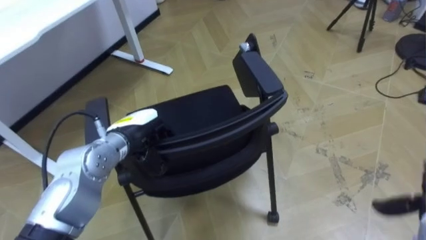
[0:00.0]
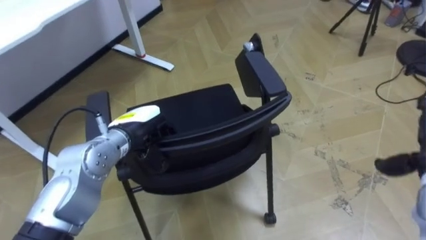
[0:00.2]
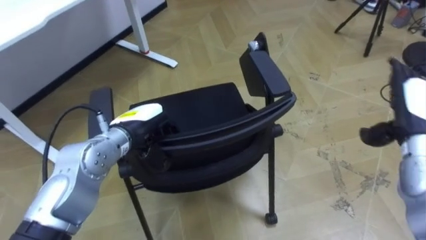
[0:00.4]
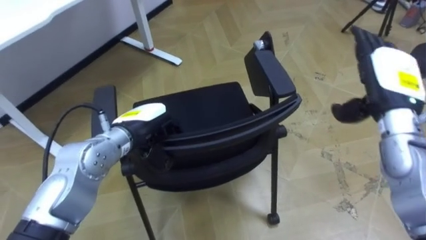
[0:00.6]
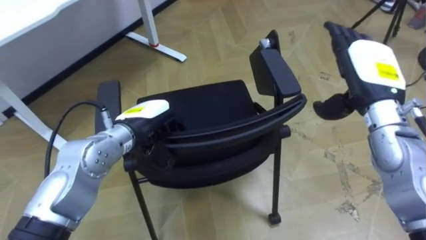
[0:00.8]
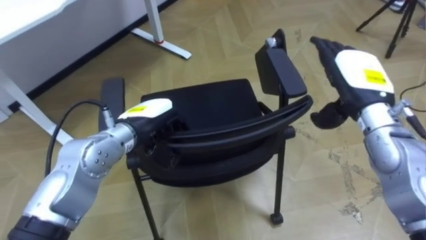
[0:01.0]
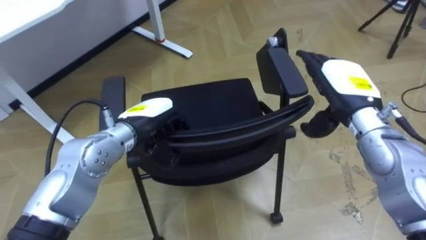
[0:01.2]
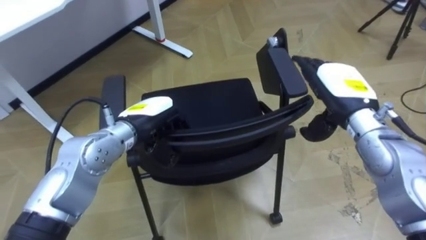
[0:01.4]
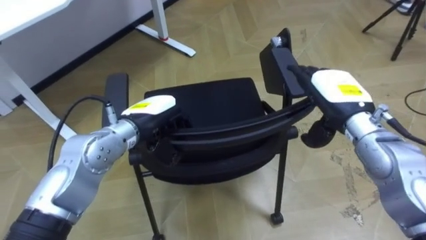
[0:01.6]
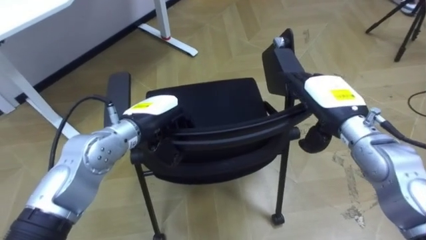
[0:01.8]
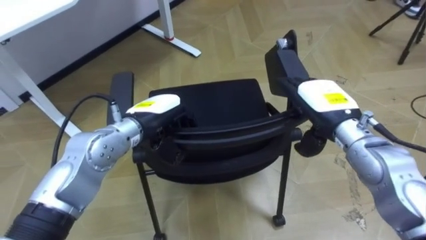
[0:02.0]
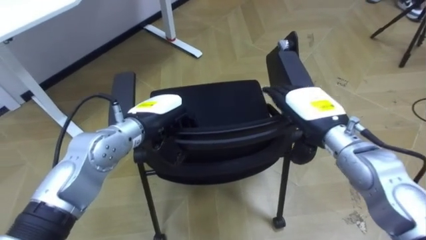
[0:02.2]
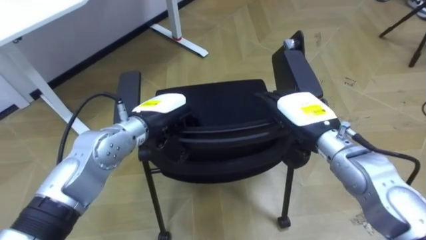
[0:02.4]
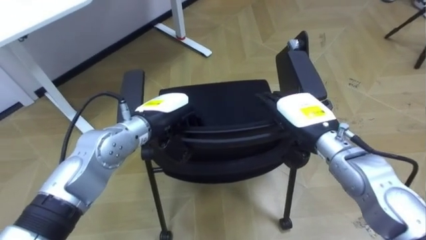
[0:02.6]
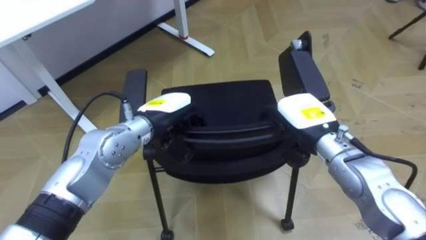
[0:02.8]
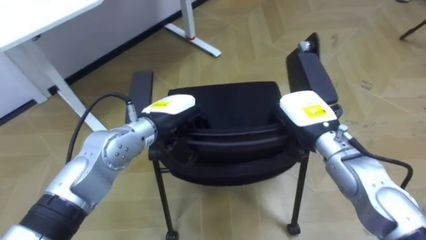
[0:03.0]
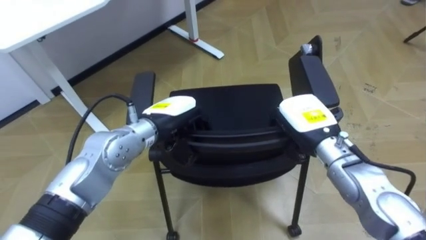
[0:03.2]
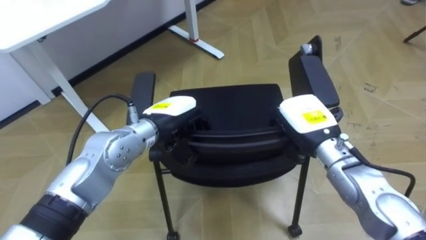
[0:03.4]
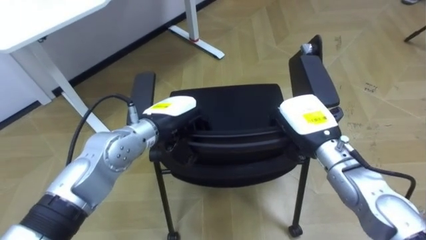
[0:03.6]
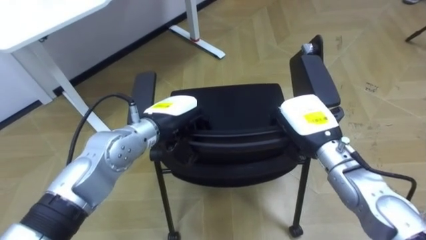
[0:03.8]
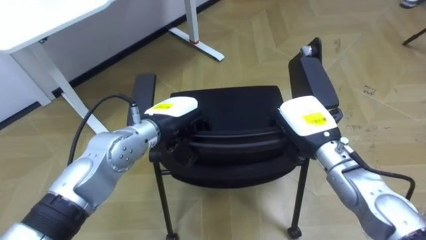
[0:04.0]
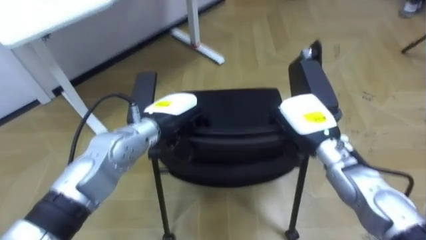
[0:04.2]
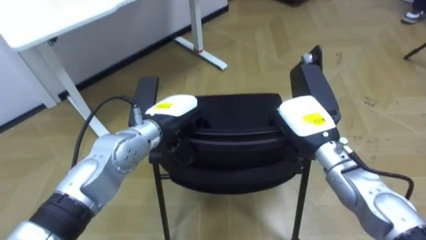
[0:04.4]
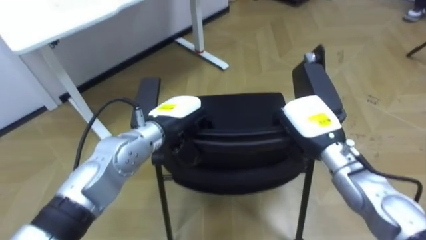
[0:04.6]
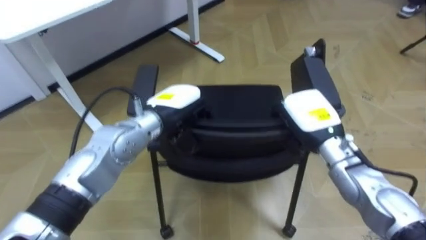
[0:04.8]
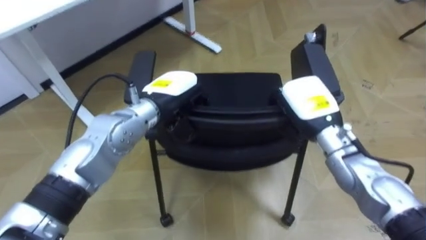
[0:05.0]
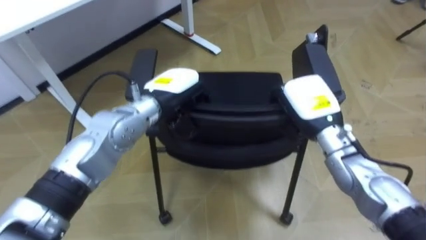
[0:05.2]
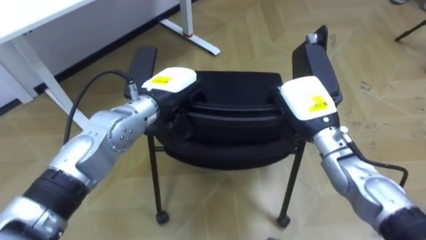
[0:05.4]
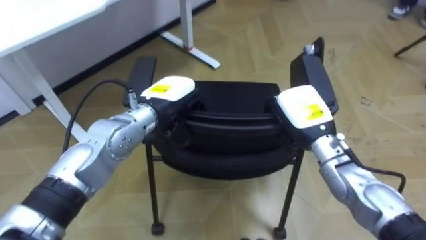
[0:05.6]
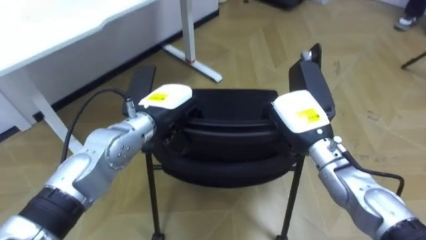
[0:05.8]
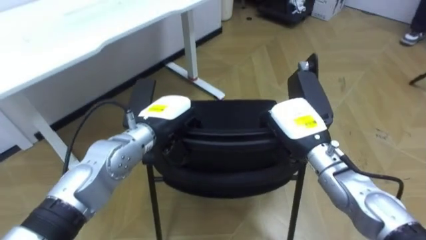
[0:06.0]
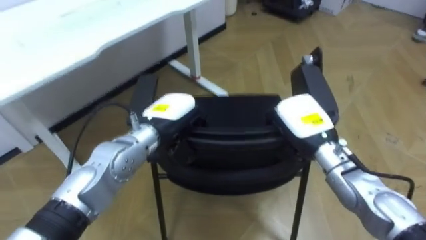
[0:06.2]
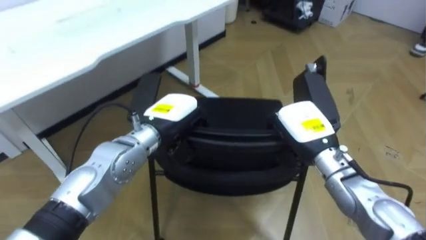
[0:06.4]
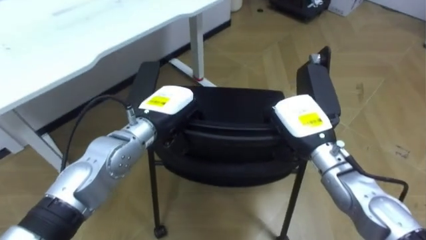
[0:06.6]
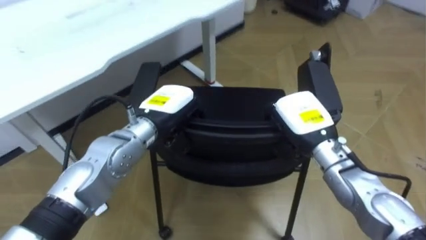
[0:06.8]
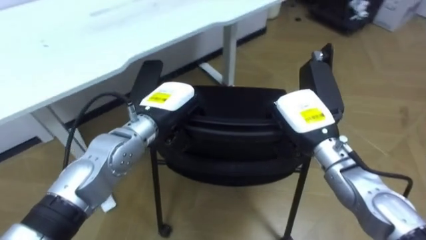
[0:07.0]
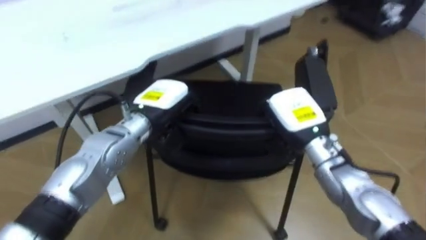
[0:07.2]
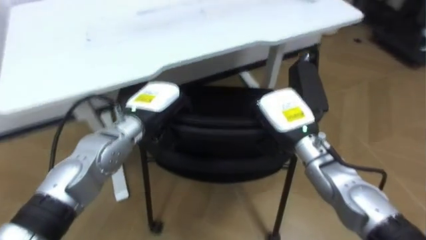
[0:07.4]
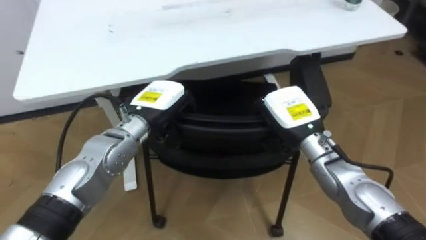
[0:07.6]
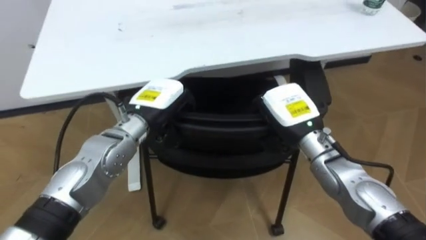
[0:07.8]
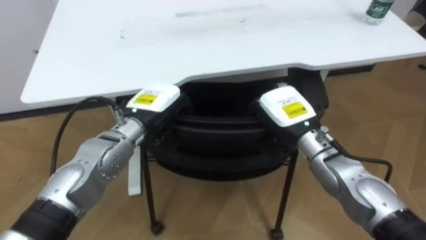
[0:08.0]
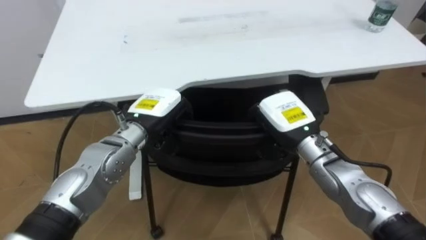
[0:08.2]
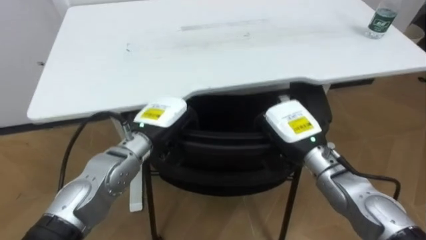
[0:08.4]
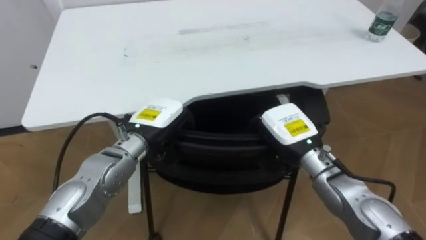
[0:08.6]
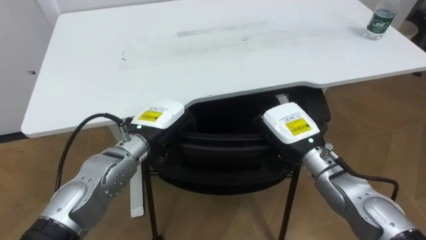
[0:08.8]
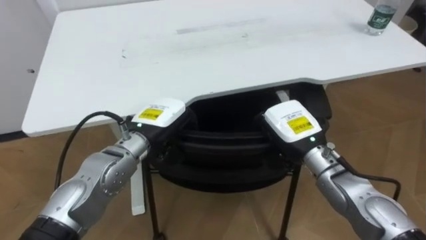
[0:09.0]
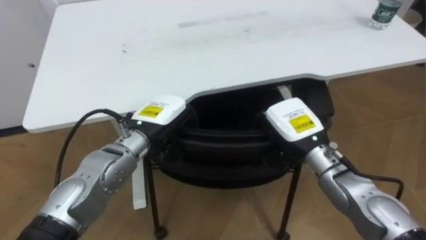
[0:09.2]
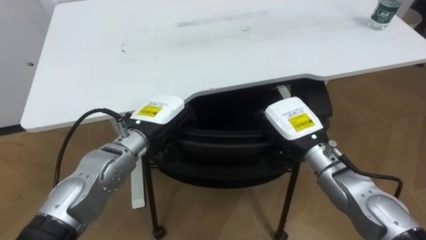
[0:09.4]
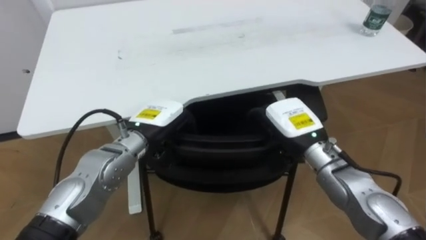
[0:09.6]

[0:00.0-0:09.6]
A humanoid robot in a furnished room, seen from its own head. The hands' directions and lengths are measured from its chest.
Task of the whole recording: Push the chair under the table.
0:01.6 to 0:03.2: The right hand changes place by roughly 5 cm, and closes its fingers.
0:06.4 to 0:08.0: The robot turns to its left by roughly 30 degrees.
0:08.0 to 0:09.6: The right hand opens its fingers.

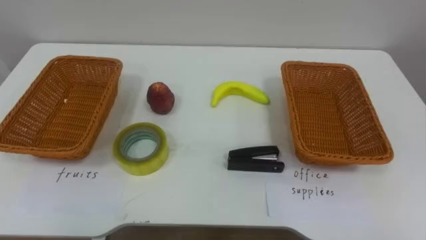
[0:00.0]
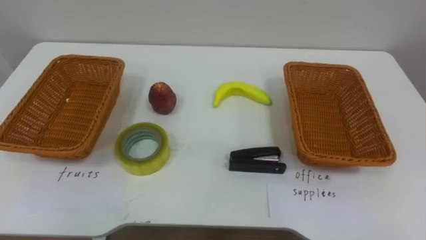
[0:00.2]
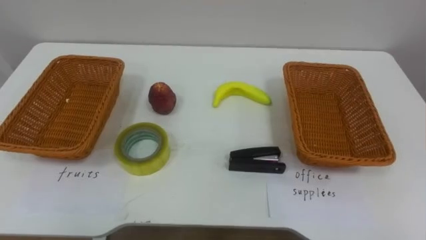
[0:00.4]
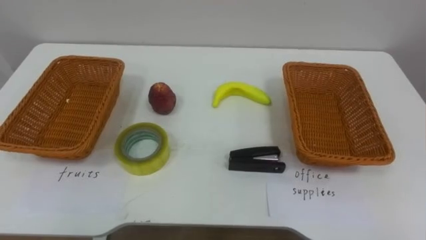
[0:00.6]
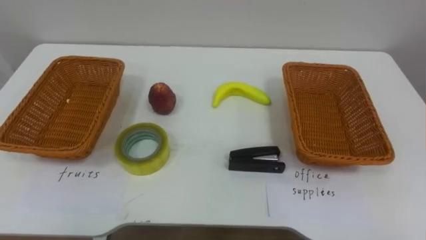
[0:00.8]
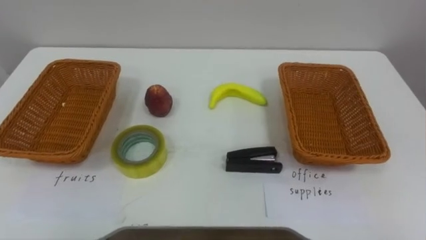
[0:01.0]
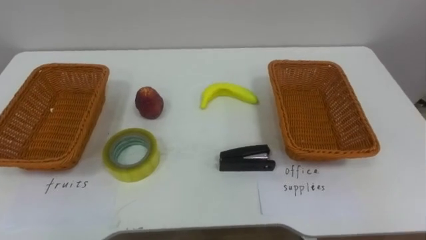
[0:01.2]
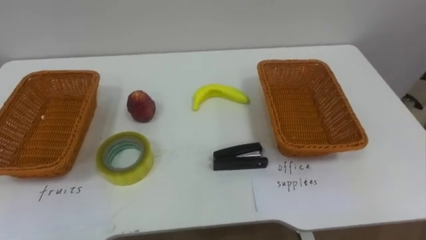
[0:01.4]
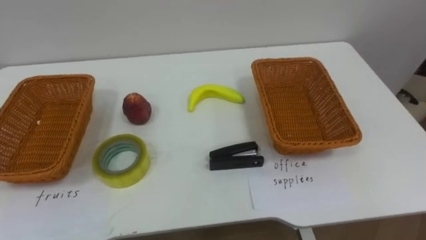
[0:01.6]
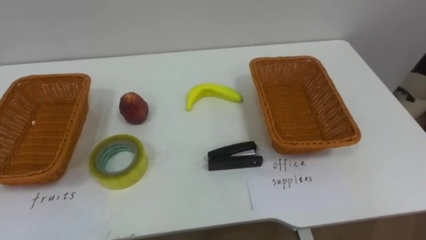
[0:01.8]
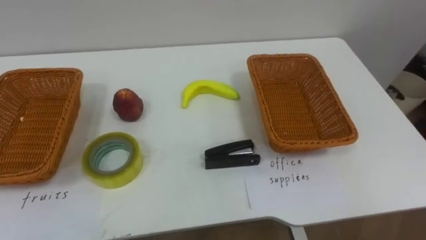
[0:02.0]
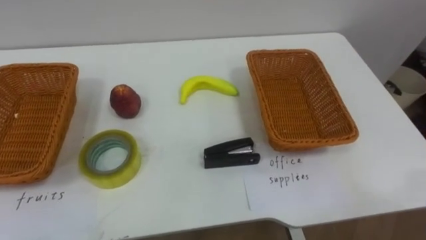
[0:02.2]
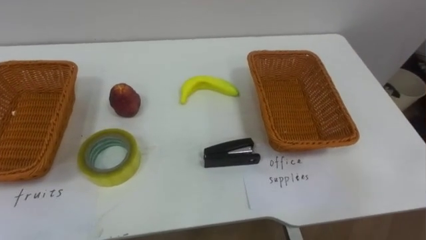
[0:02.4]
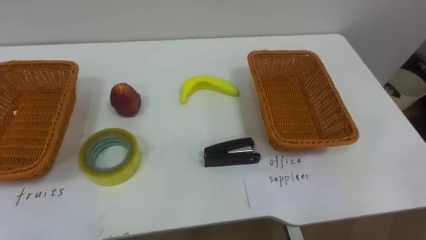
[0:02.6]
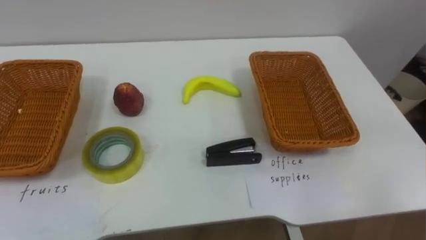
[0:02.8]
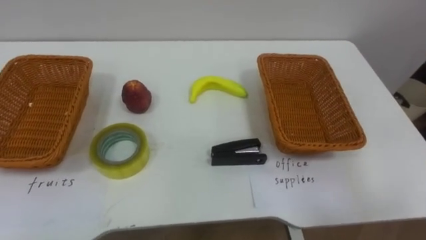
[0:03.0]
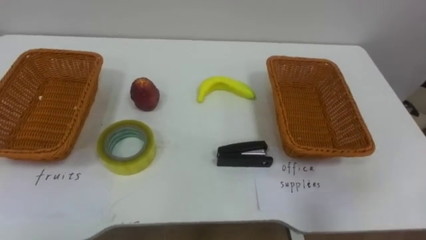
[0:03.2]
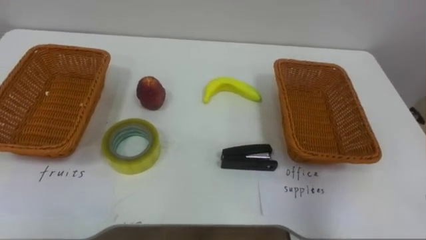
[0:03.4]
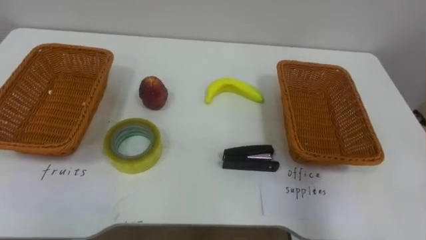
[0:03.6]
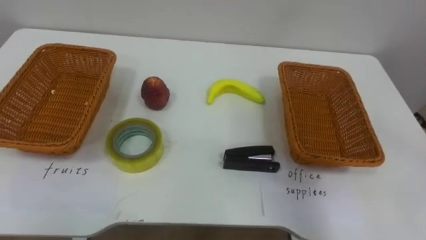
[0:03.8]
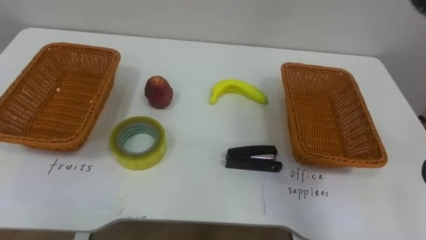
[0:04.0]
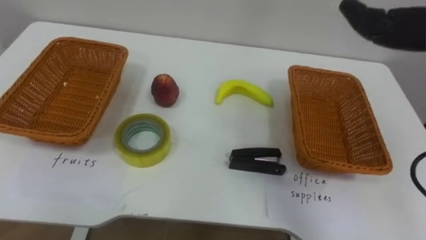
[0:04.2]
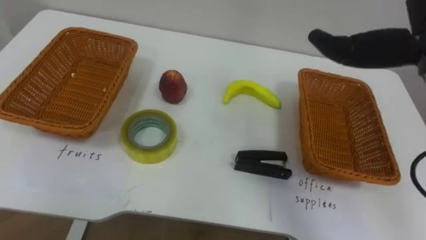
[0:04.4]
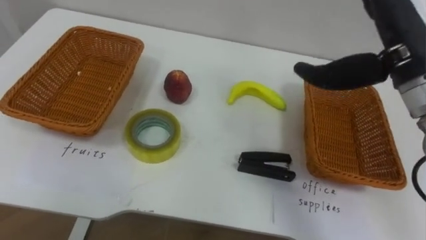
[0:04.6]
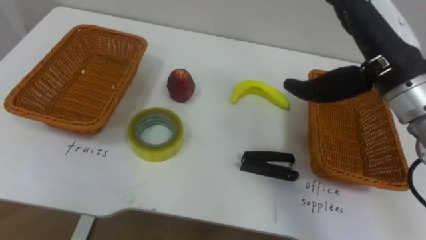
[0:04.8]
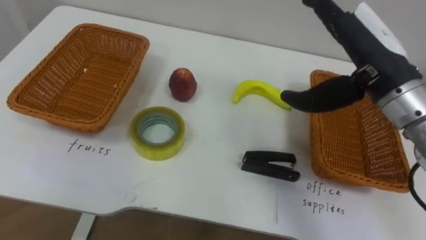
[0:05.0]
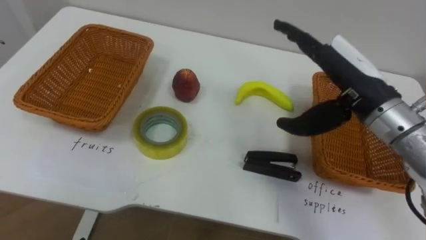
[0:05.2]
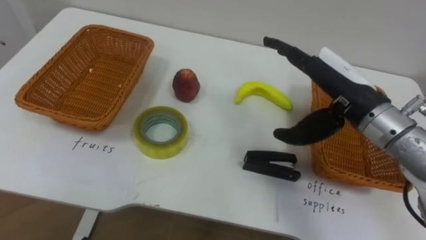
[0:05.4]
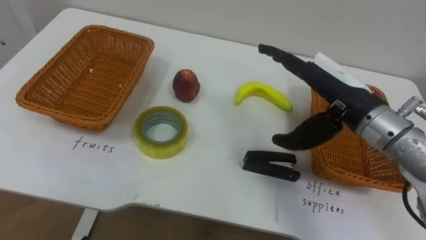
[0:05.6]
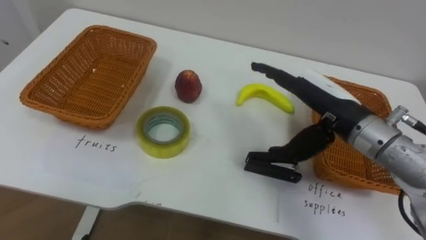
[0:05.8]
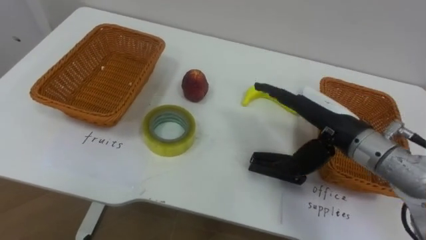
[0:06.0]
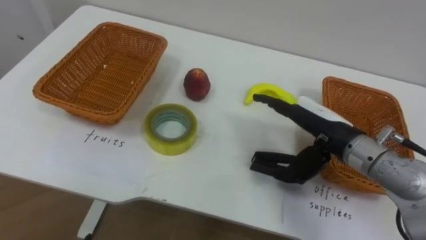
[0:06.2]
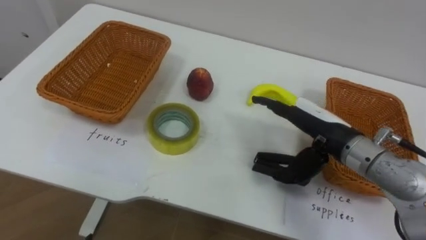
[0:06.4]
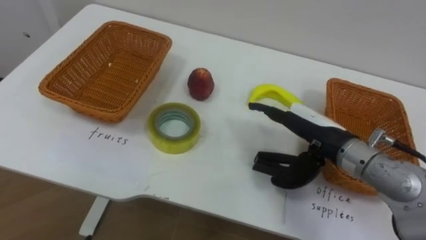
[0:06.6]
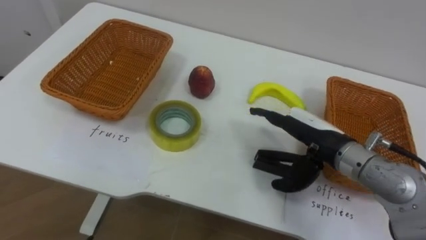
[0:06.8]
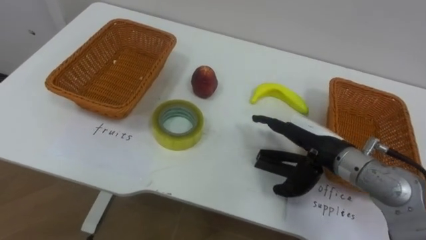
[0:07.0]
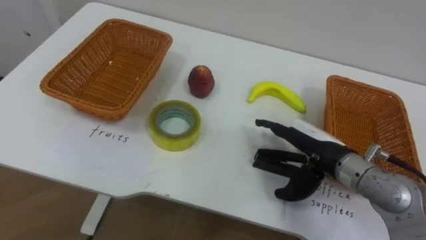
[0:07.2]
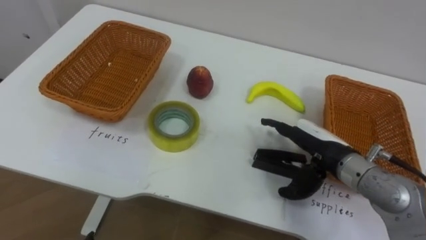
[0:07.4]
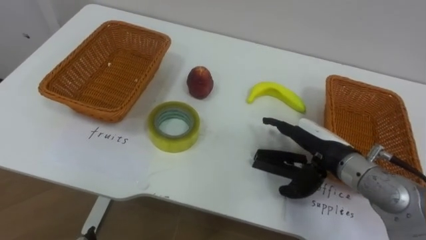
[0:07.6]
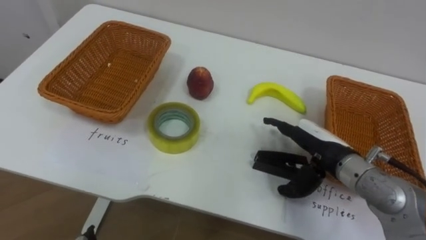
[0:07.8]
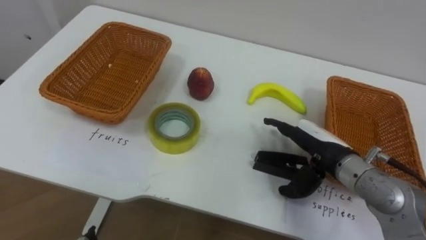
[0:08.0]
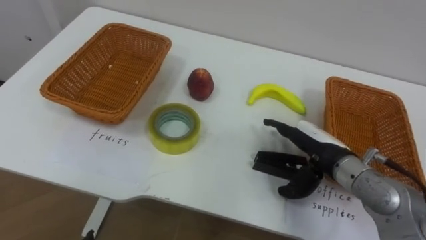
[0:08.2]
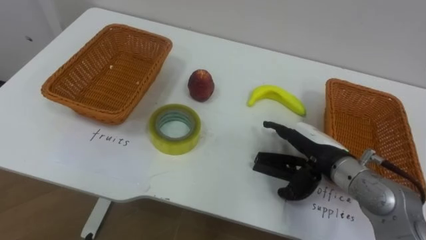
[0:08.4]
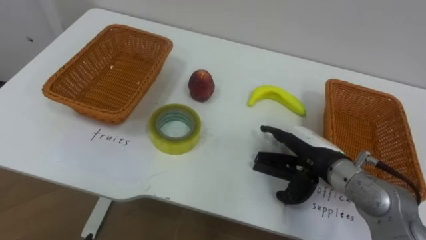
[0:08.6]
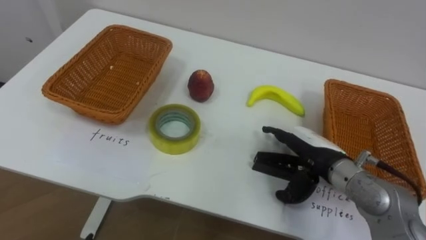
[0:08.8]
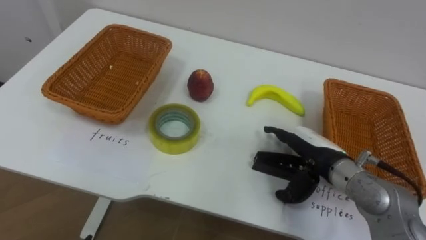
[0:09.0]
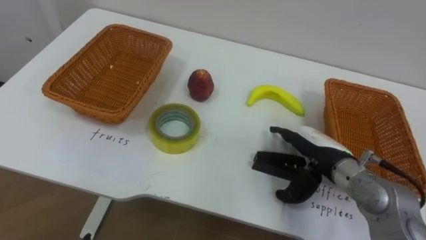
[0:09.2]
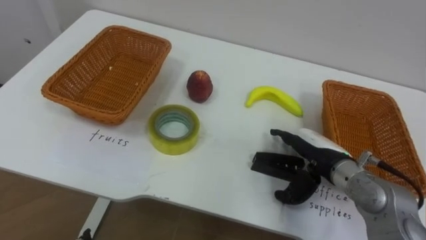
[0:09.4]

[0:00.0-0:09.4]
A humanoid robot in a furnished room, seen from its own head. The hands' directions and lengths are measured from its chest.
Task of the whole recording: Separate the items on the table and place them into the two baskets.
0:04.8 to 0:06.2: The right hand travels downward by about 15 cm.
0:06.2 to 0:07.8: The right hand is displaced downward by about 5 cm.
